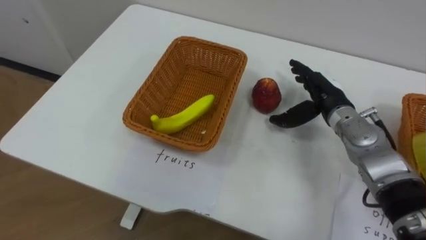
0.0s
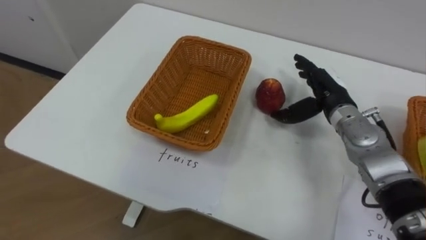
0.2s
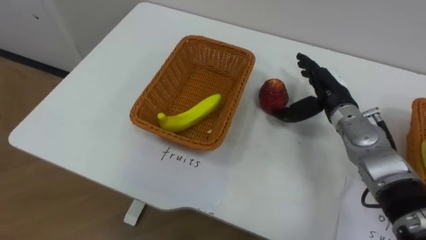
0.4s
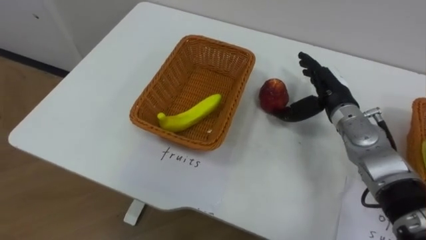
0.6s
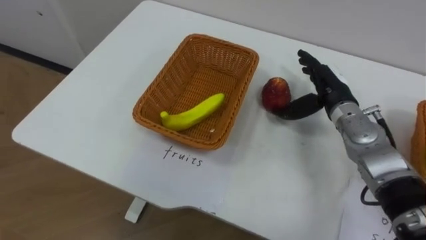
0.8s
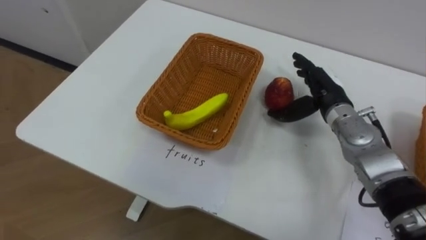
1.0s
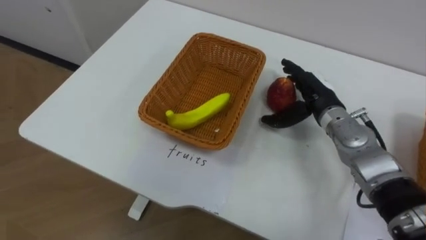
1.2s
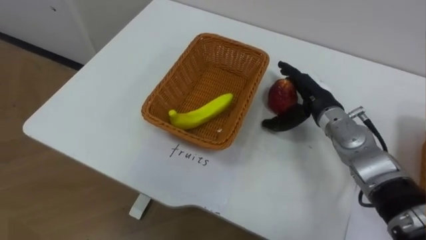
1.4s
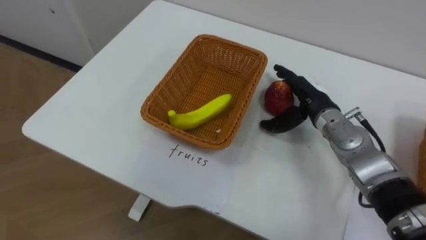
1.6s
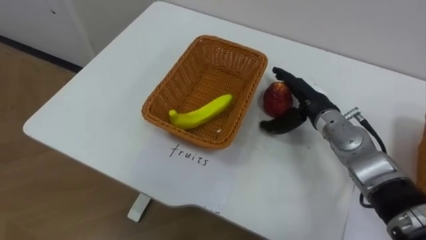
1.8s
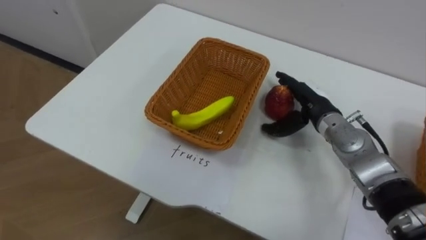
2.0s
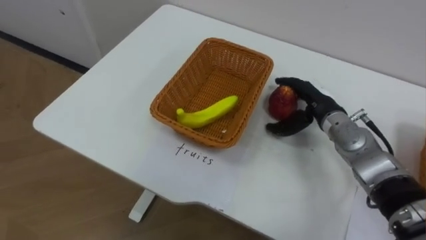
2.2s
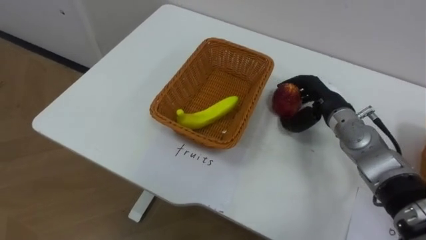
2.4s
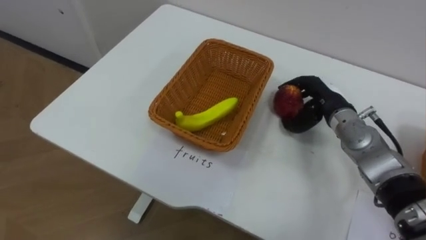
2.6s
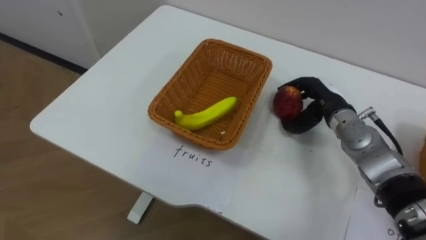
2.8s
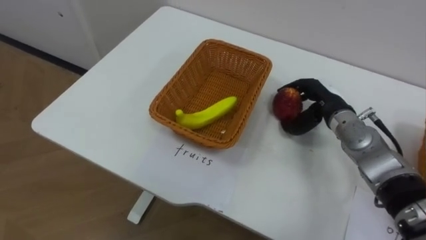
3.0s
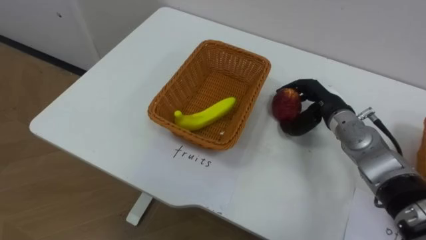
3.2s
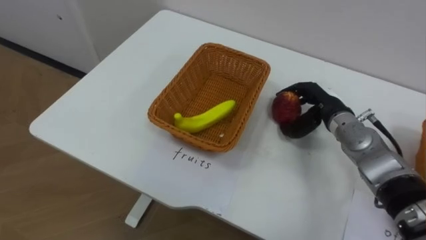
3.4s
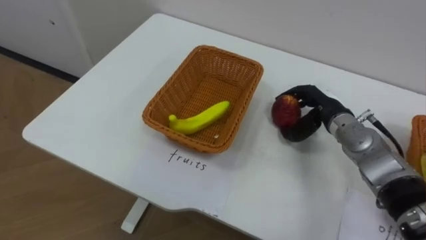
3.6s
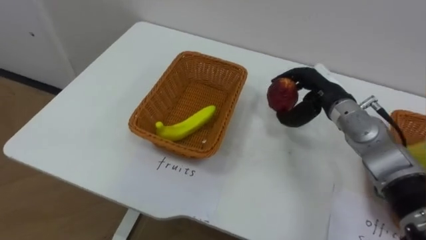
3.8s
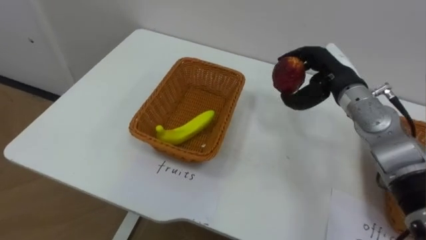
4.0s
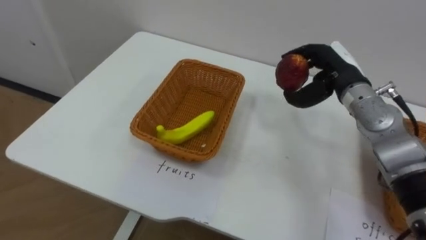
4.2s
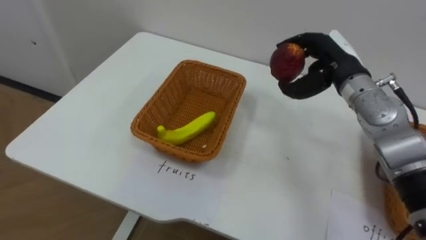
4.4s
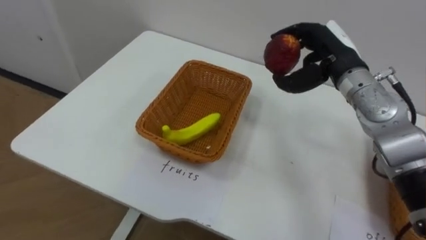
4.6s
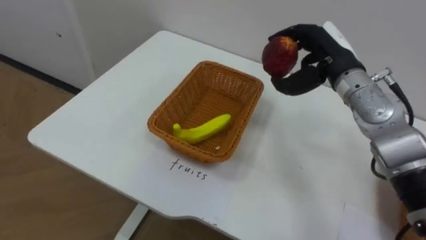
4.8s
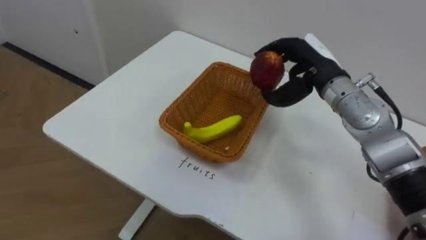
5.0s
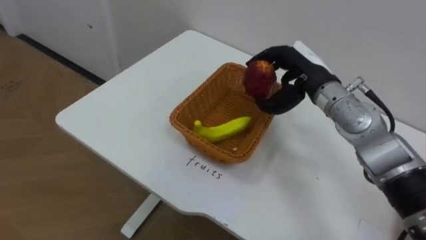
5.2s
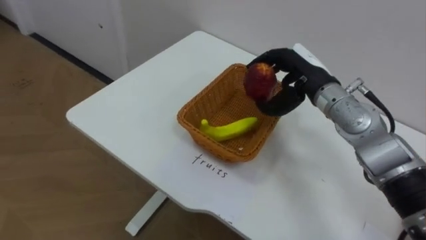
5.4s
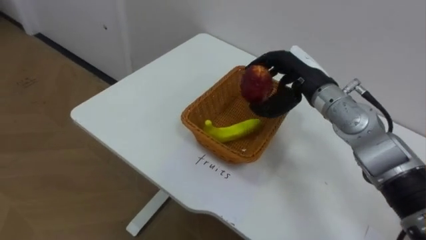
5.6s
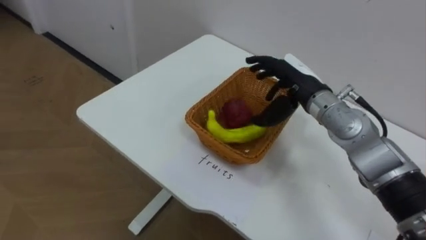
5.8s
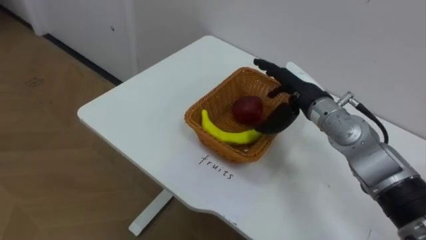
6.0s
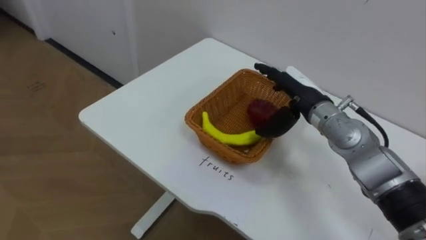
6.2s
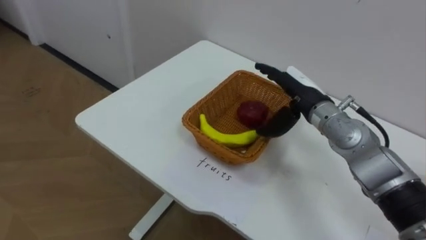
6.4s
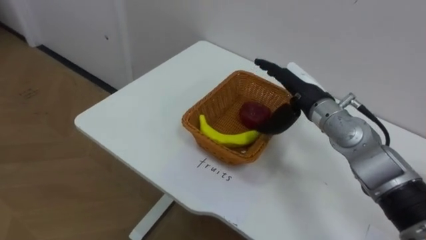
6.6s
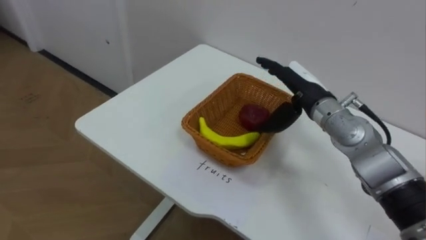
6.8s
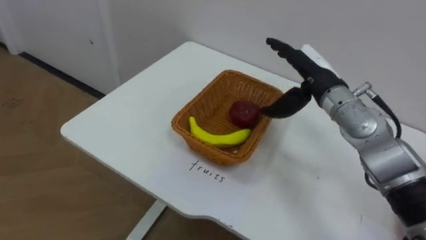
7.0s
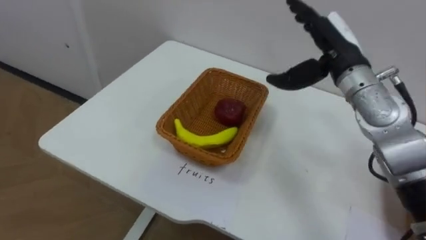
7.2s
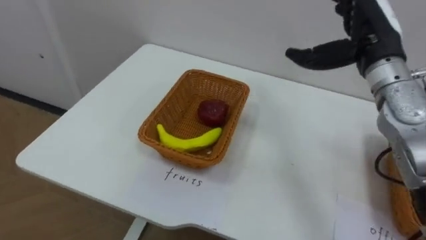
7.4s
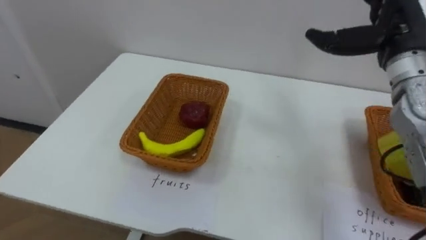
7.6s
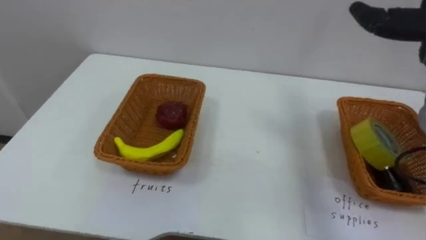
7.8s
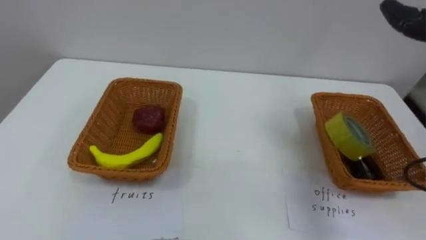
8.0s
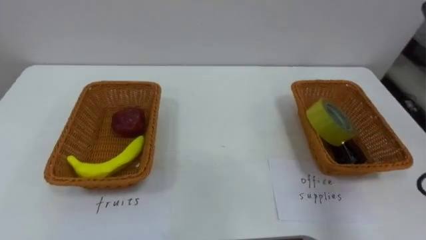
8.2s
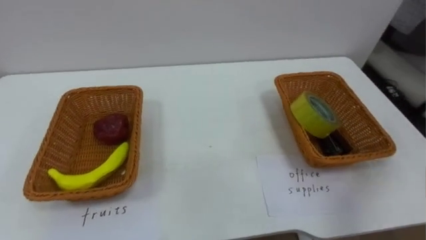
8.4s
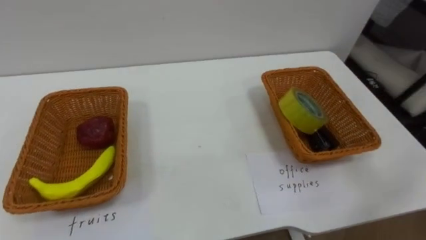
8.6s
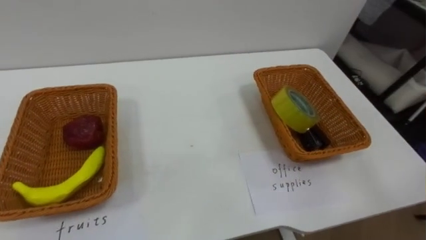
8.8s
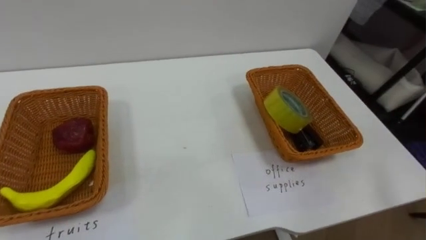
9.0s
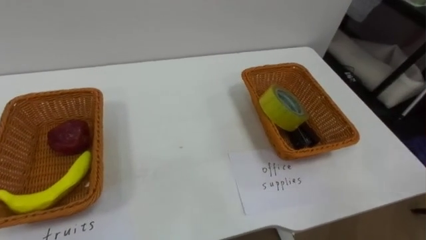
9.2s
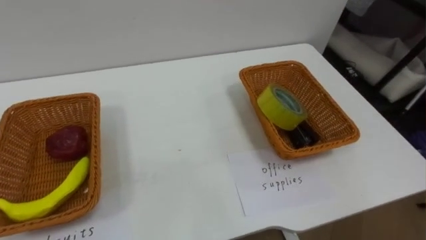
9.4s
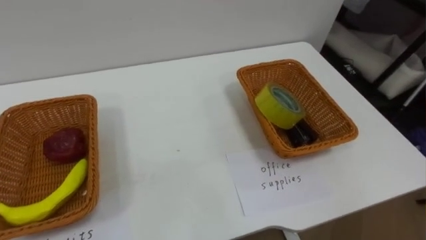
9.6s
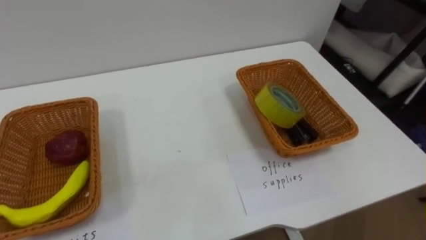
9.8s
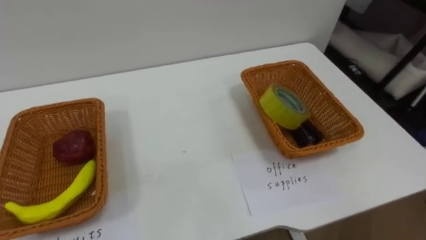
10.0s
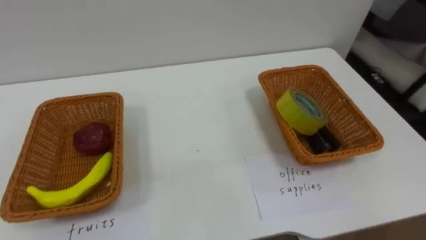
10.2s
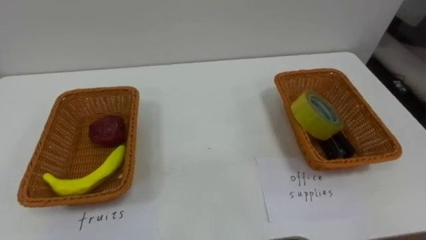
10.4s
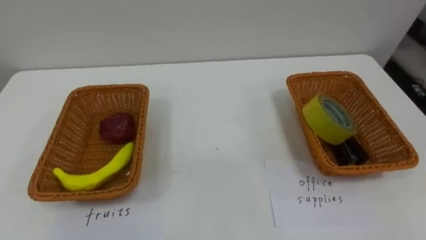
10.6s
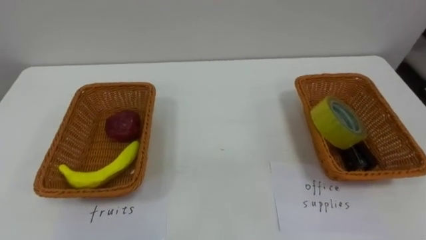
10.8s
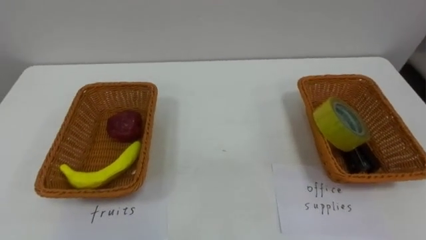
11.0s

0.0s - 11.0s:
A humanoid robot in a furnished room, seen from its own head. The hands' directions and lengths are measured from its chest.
Task of the whole recording: Separate the items on the table and place them into the two baskets.
1.6s - 3.2s: The right hand closes up.
3.2s - 4.8s: The right hand heads upward, covering approximately 10 cm.
4.8s - 6.2s: The right hand moves downward, approximately 5 cm, and opens its fingers.

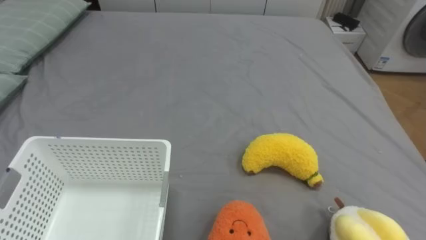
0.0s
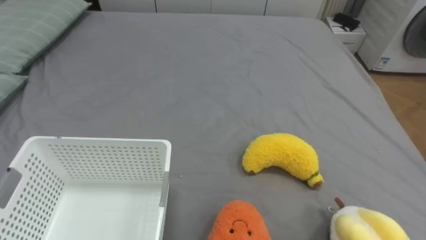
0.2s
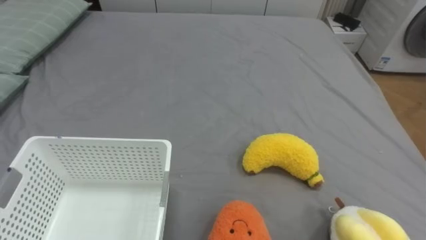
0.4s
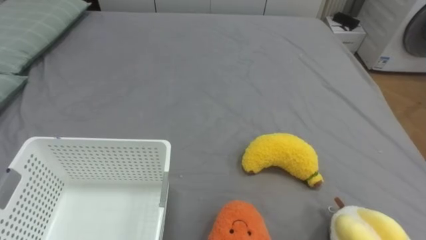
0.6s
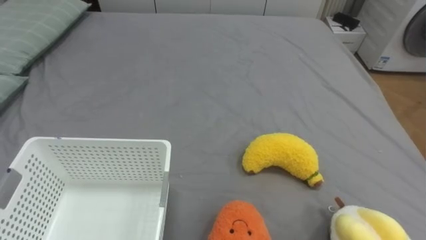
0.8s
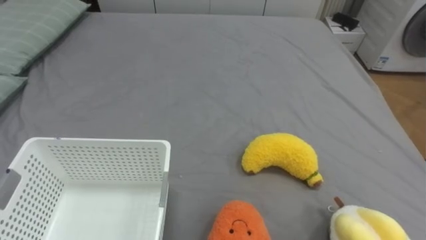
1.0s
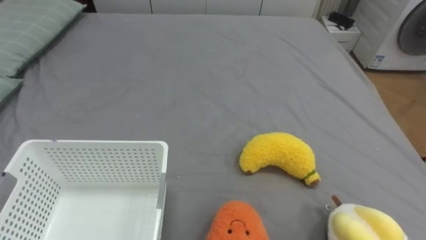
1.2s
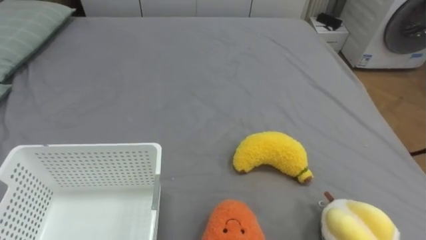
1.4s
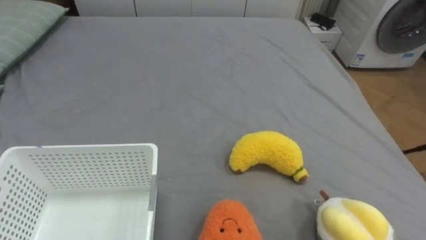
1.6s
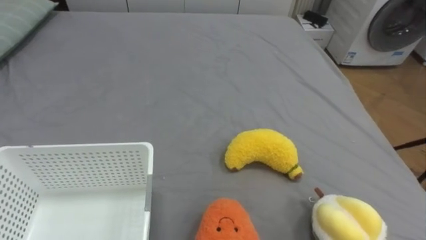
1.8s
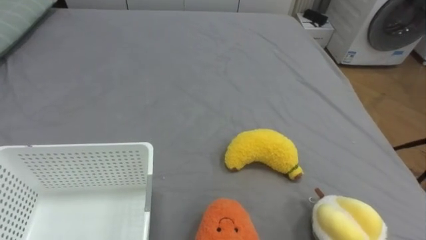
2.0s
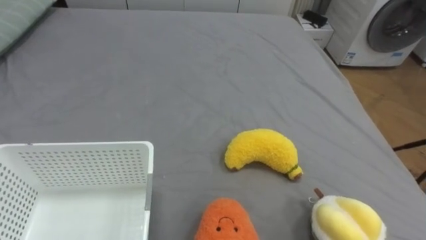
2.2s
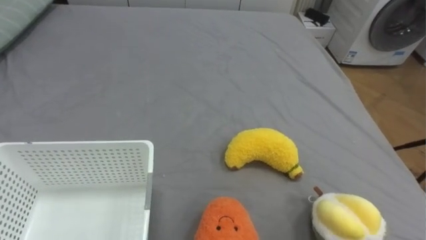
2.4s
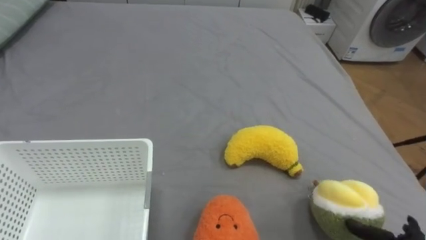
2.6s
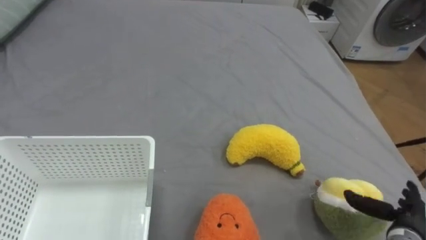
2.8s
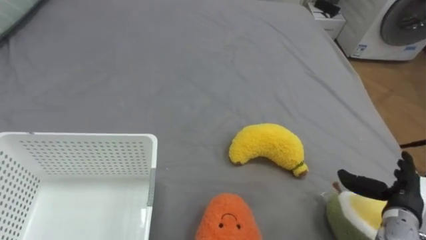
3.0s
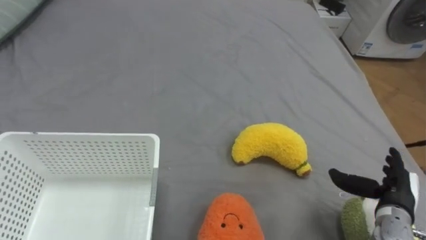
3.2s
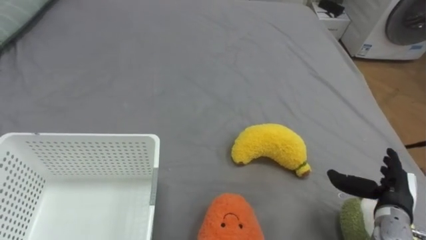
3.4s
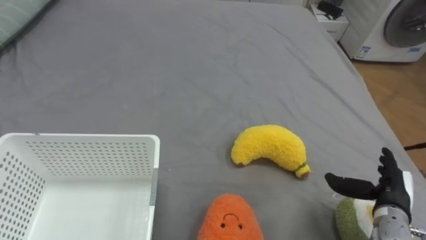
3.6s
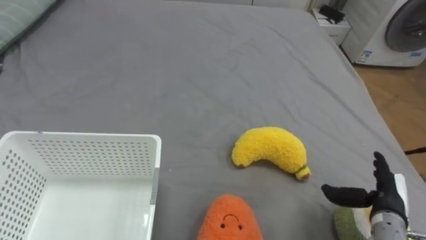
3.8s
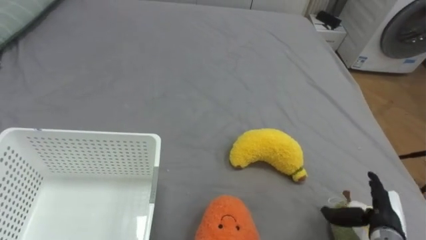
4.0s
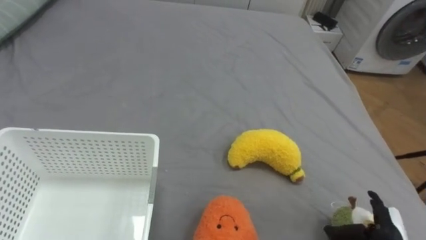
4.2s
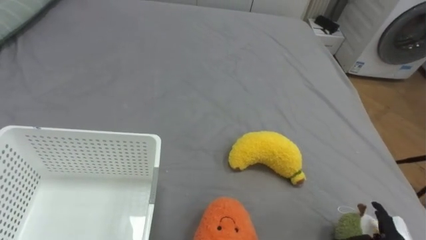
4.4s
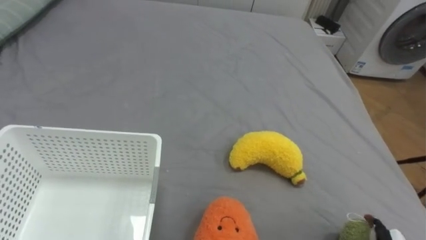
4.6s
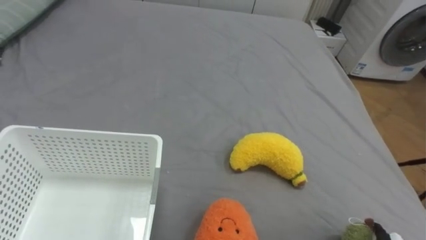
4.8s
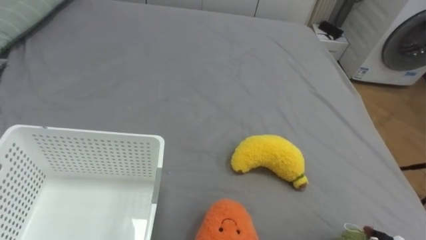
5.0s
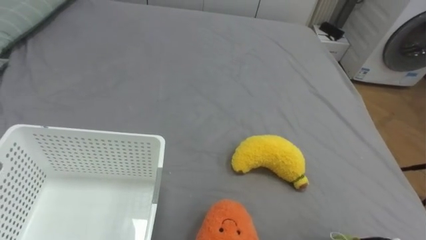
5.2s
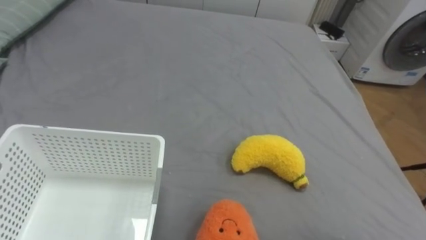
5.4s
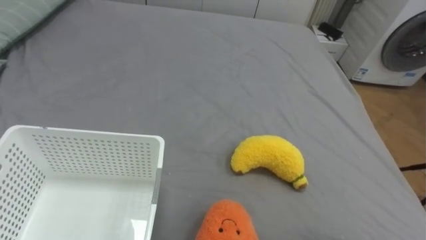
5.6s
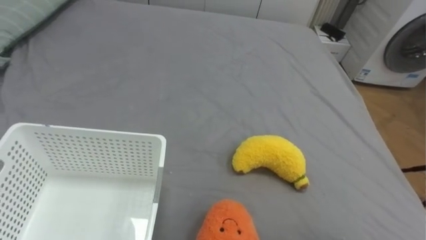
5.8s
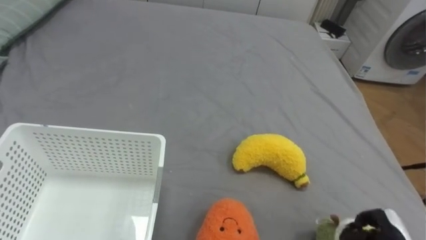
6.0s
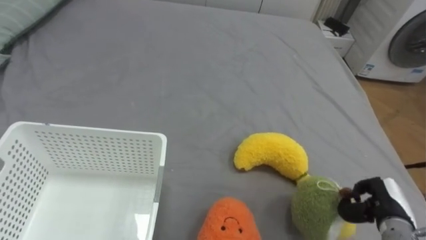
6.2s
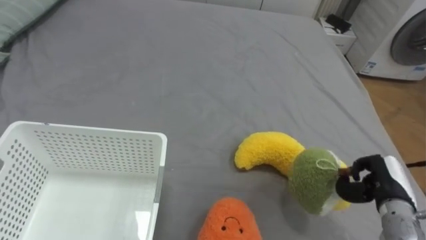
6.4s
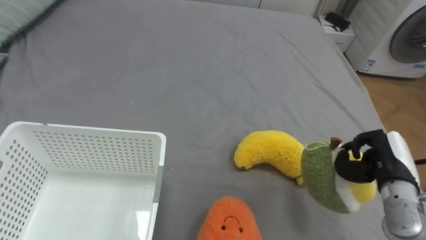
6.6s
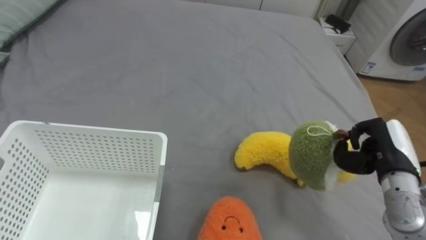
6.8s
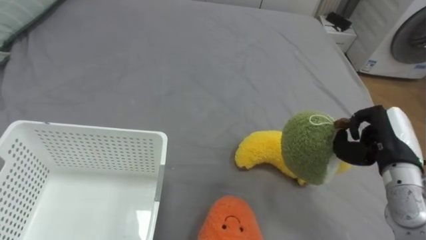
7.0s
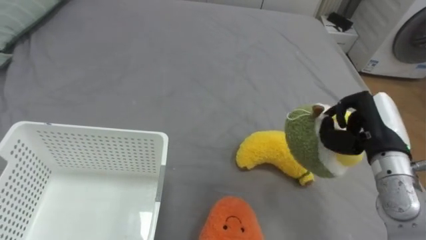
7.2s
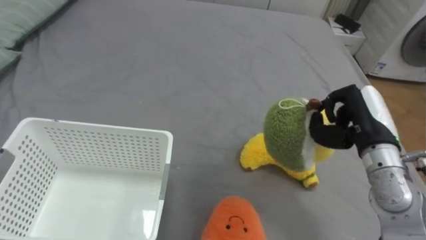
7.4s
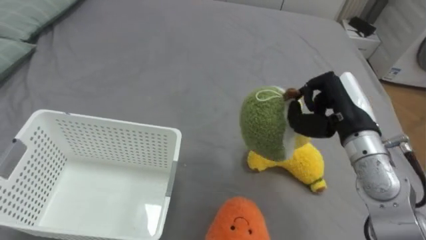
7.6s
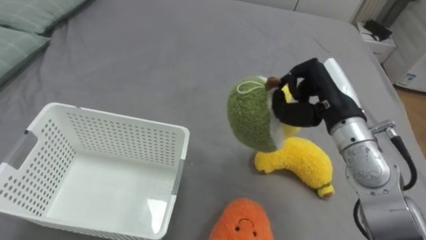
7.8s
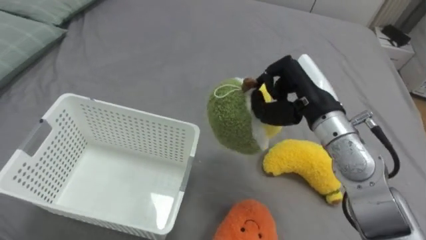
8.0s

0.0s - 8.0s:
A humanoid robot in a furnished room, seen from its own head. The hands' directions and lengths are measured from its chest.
Task of the whole recording: Put the toys on the bed into the basket on the left.
6.4s - 8.0s: The right hand moves to the left, upward and forward, some 25 cm.
